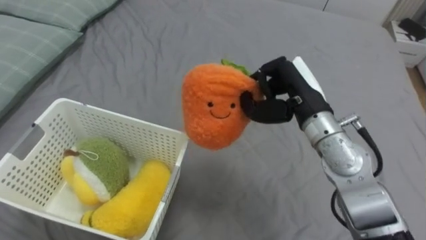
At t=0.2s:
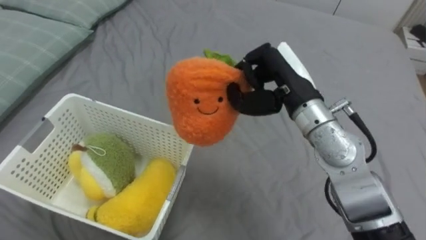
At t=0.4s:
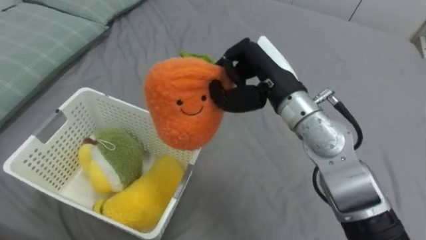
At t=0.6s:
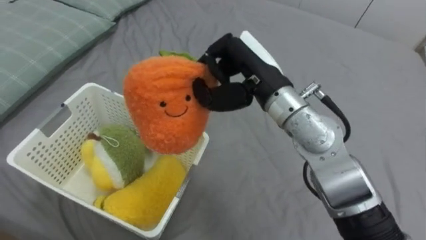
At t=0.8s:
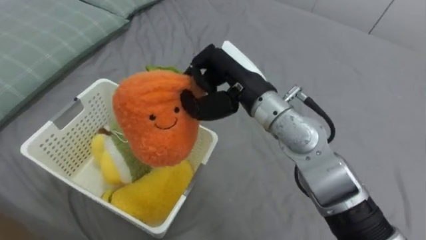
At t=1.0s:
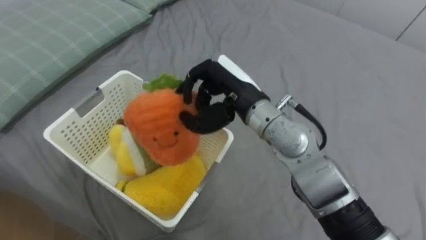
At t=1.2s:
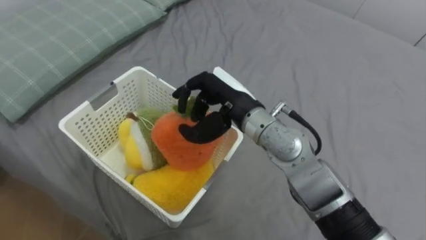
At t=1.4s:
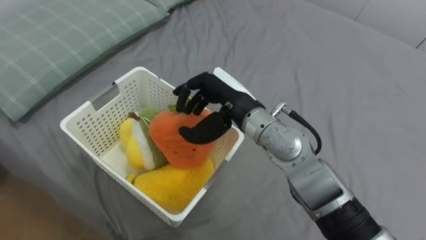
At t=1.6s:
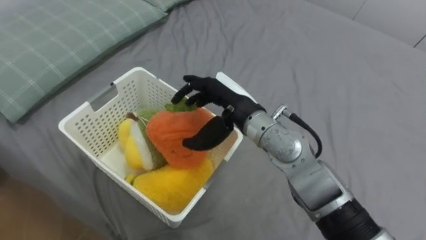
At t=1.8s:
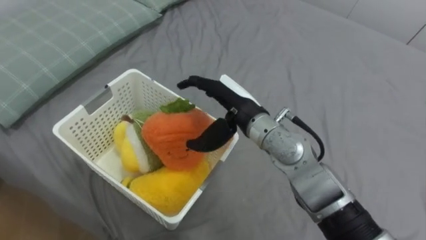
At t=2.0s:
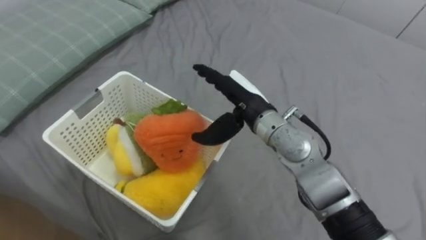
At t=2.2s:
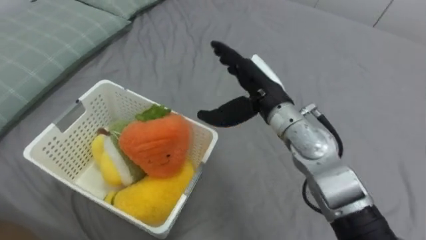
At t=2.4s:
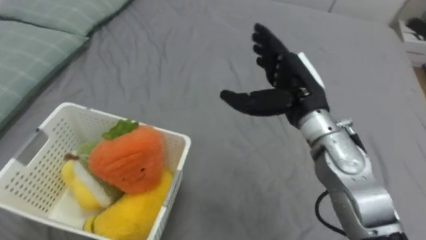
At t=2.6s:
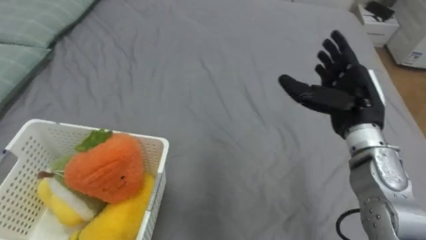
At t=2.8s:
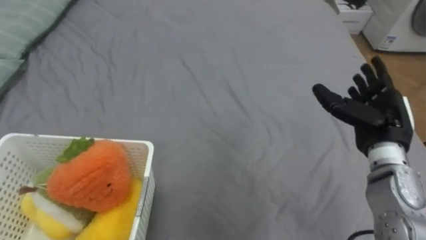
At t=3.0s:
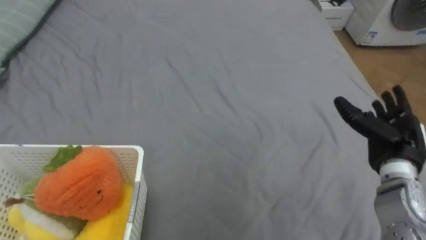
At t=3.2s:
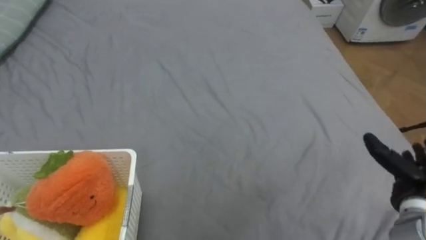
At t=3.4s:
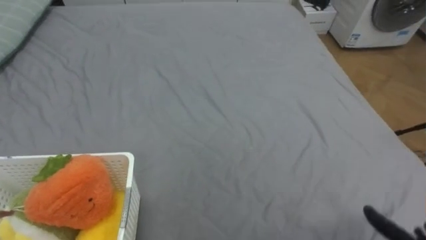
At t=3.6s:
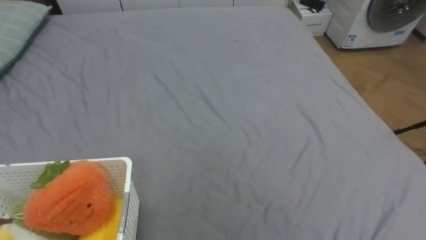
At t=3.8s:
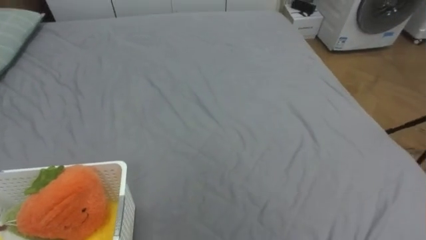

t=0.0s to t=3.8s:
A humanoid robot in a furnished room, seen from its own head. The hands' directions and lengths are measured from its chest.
Task of the whole recording: Put the toys on the bed into the basket on the left.
t=0.0s to t=1.2s: The right hand travels to the left by roughly 10 cm.
t=1.2s to t=2.6s: The right hand heads to the right, covering approximately 20 cm, and opens its fingers.

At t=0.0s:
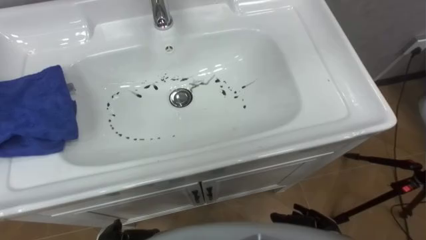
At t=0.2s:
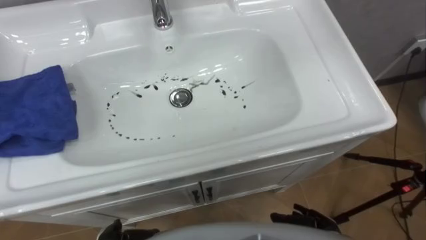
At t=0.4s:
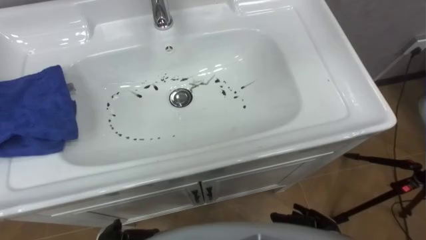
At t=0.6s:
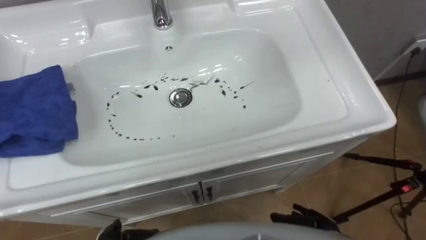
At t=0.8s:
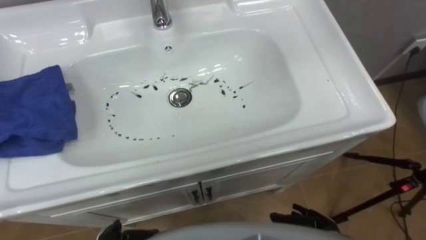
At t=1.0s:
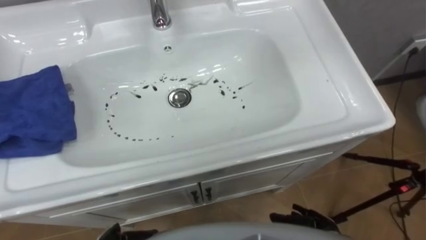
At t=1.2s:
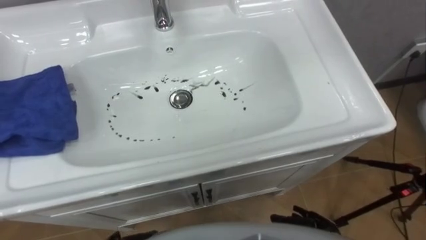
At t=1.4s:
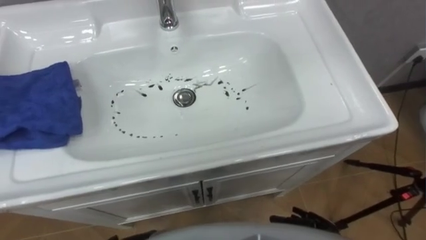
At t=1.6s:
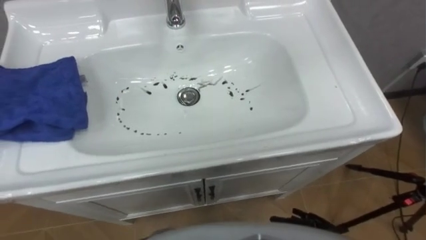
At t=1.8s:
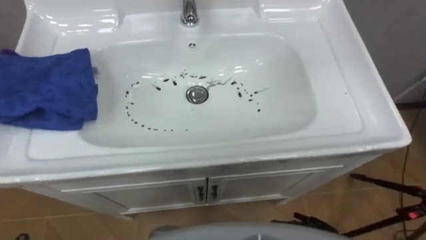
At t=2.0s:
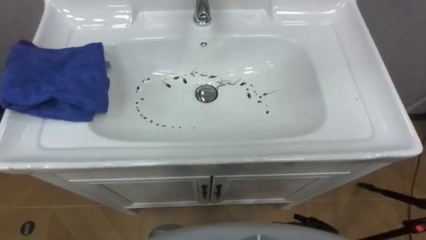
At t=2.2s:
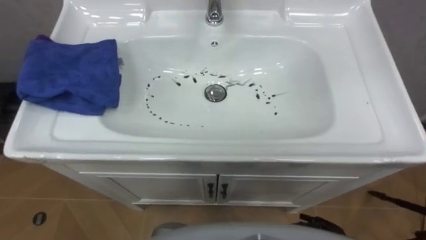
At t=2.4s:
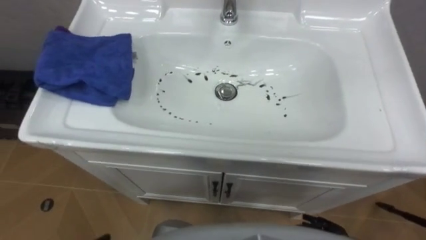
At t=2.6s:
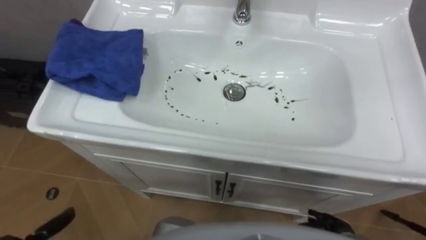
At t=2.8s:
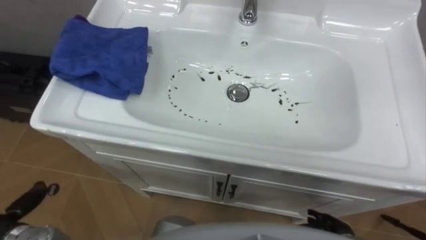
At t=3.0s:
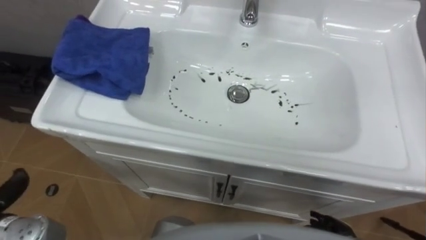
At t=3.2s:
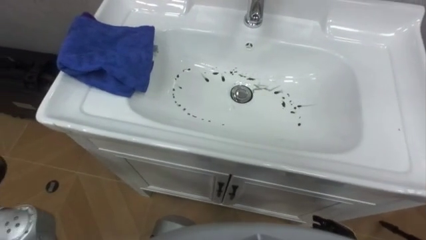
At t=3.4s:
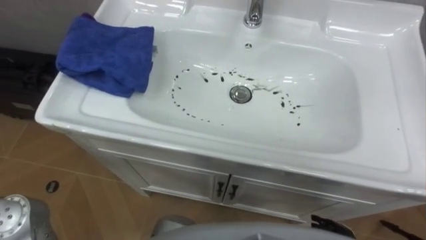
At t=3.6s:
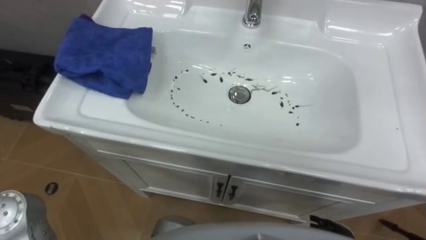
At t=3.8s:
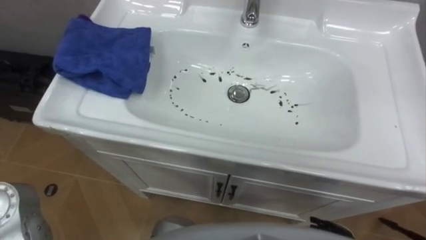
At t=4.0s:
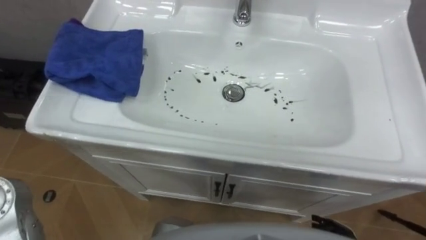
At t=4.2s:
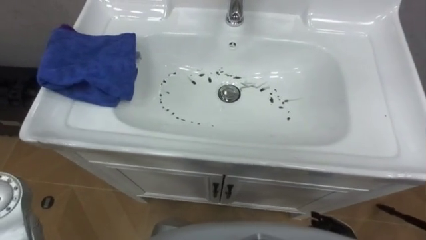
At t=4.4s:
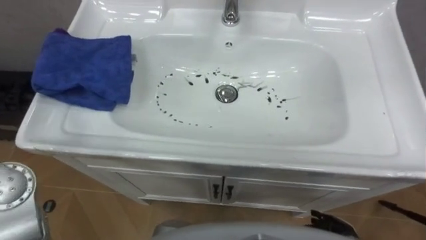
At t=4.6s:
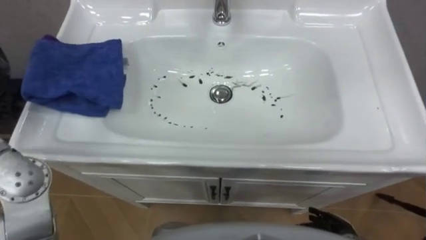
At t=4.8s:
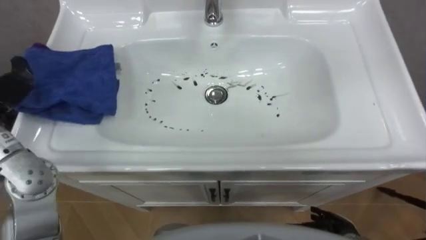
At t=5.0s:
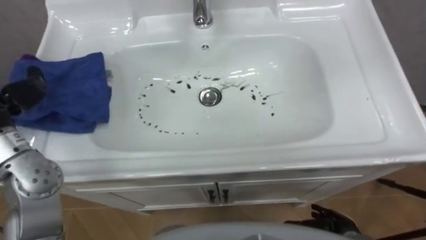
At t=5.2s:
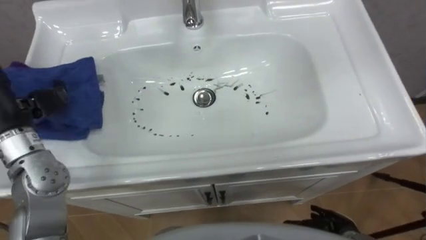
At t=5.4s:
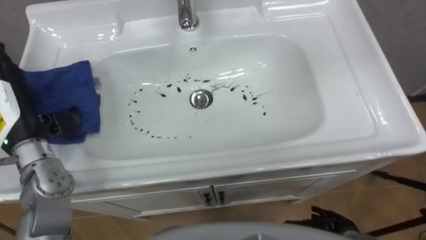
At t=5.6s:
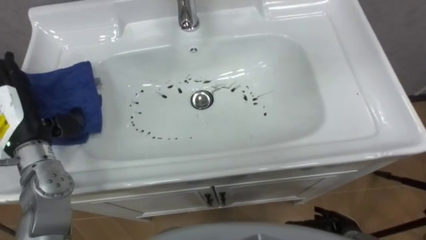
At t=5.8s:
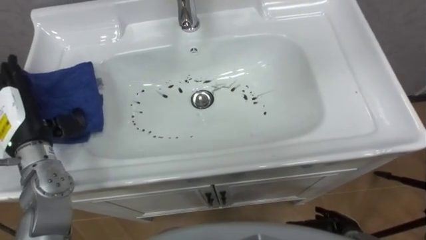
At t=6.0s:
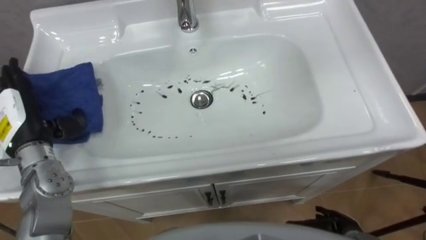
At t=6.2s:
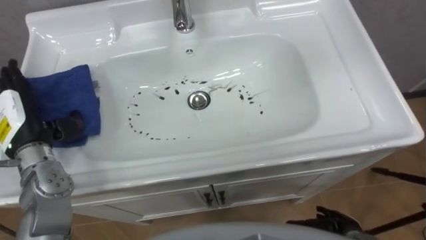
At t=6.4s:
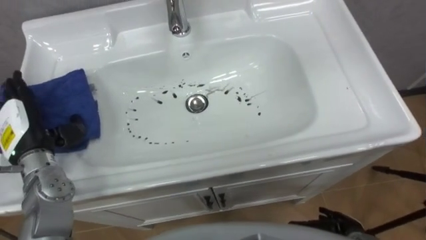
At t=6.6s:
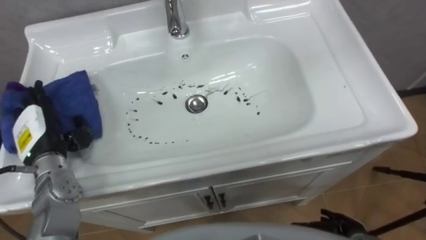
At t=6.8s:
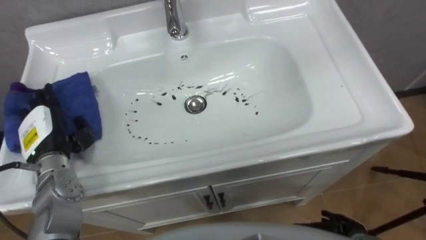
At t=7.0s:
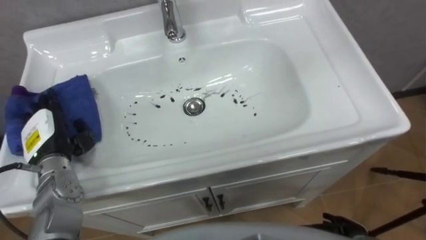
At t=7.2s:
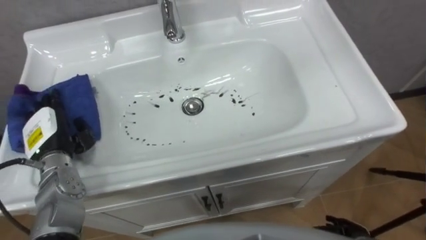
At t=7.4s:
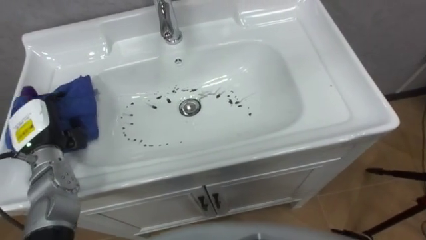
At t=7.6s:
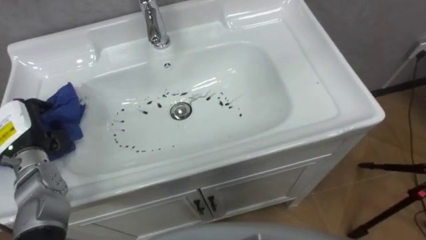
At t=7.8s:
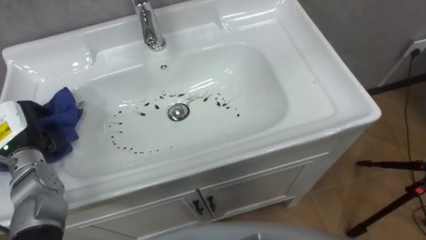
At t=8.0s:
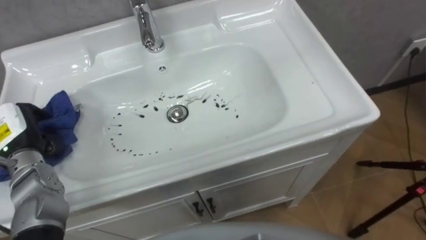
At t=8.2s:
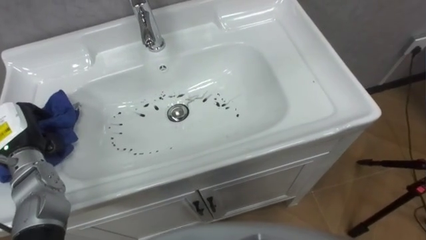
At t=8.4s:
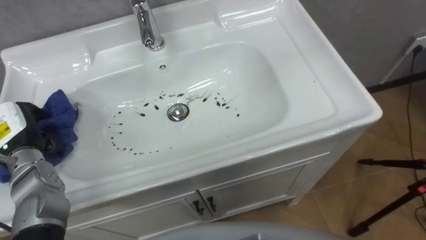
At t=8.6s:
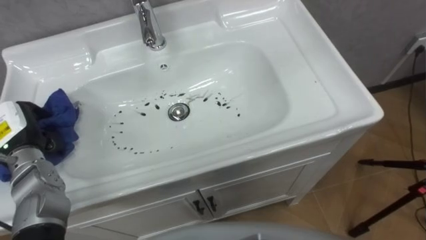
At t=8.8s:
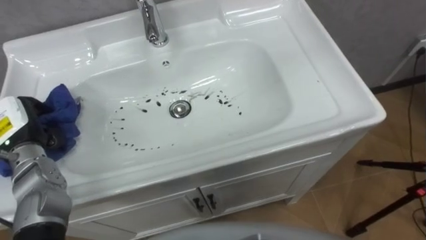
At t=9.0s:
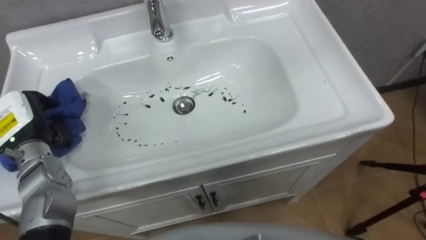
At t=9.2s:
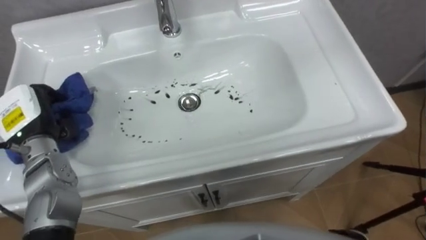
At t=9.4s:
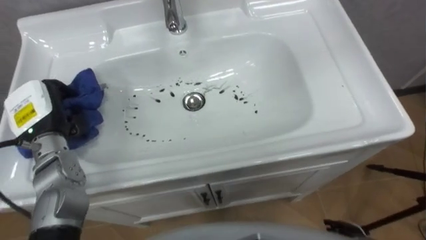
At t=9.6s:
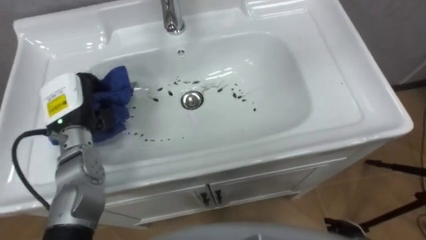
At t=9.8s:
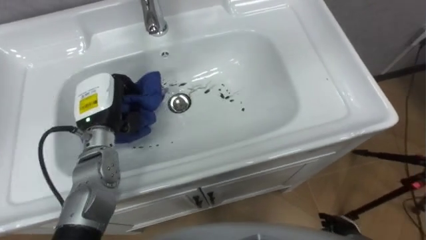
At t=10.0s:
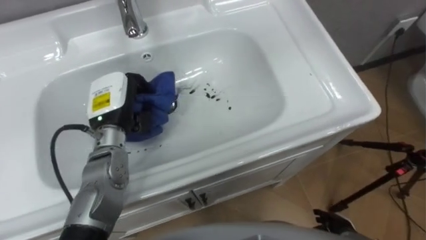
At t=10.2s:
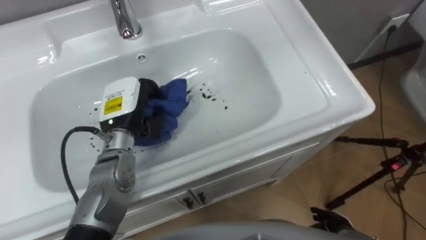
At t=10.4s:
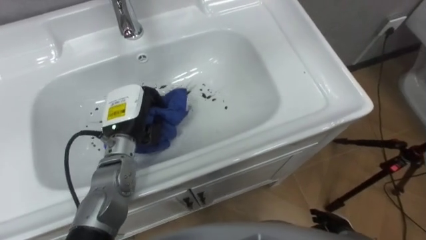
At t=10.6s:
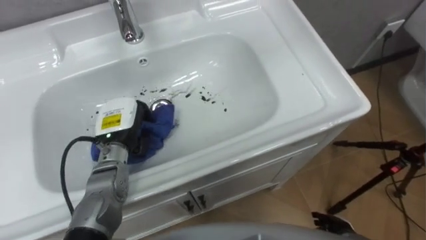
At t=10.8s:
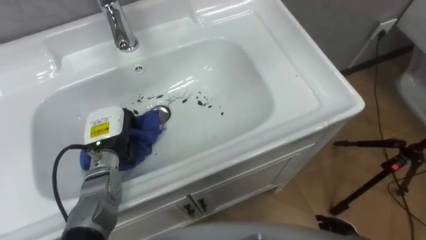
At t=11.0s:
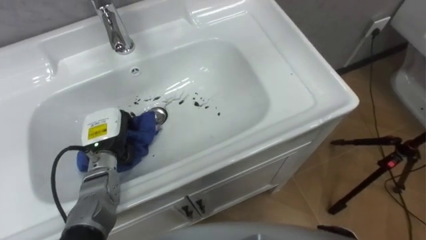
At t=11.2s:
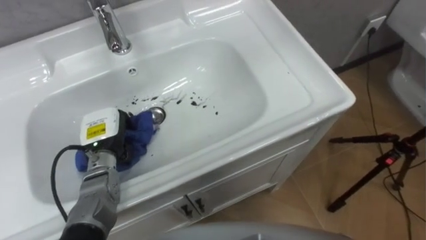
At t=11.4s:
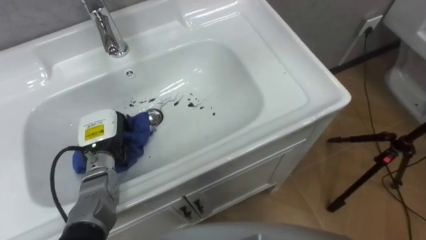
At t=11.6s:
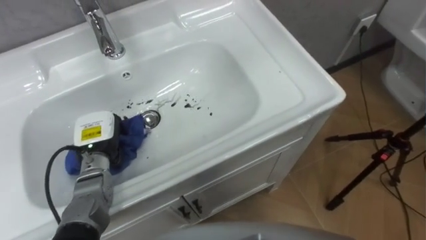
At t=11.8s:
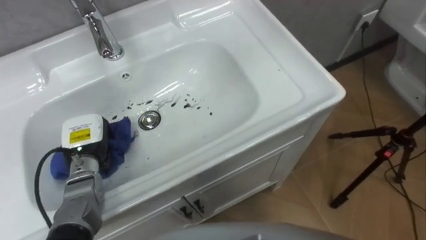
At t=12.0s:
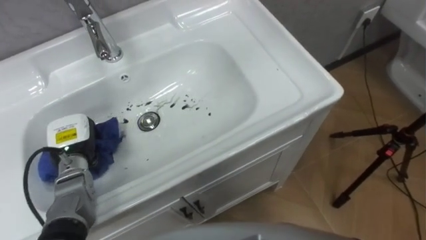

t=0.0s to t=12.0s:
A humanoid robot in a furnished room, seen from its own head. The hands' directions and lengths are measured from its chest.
Task of the whole recording: Use the cloth on the right to wipe away the black stain in the sink.
t=6.0s to t=7.6s: The left hand changes place by about 5 cm, and closes.
t=9.0s to t=10.4s: The left hand moves to the right, some 15 cm.
t=10.4s to t=12.0s: The left hand heads to the left and downward, covering approximately 15 cm.

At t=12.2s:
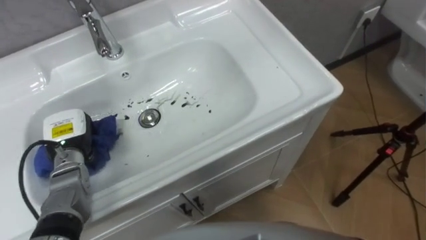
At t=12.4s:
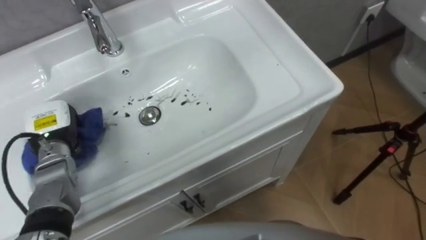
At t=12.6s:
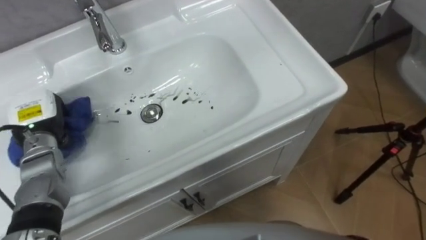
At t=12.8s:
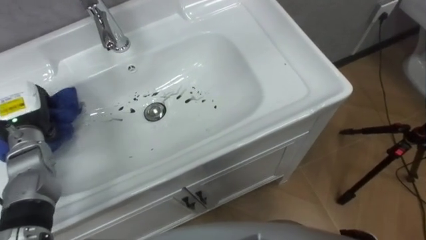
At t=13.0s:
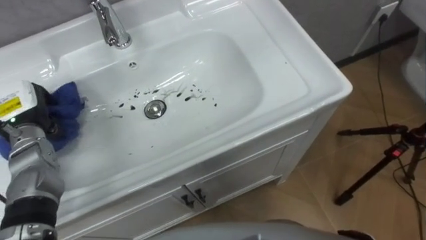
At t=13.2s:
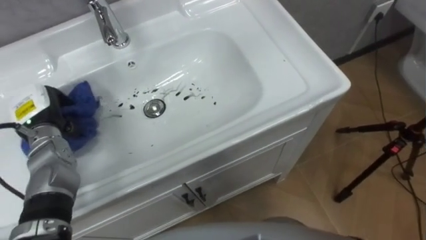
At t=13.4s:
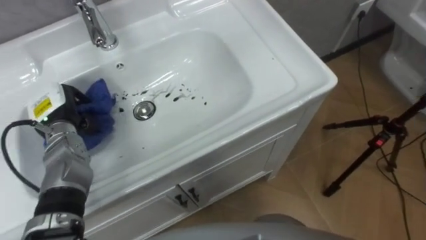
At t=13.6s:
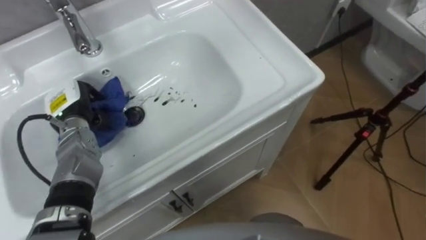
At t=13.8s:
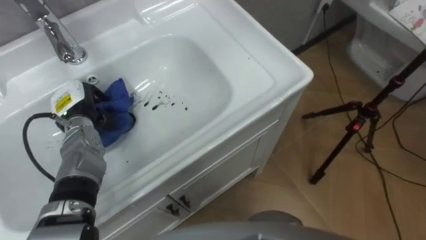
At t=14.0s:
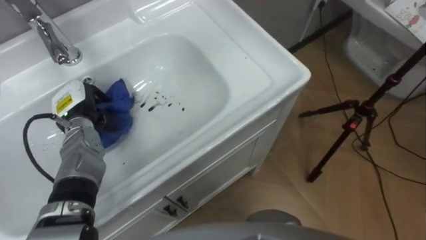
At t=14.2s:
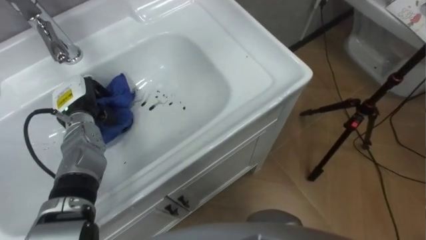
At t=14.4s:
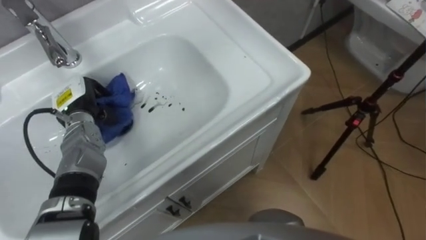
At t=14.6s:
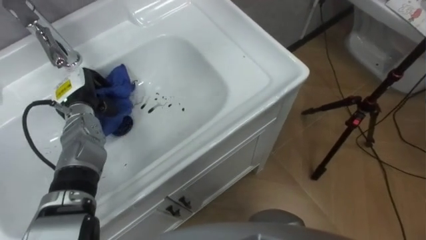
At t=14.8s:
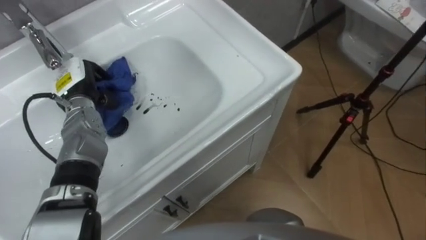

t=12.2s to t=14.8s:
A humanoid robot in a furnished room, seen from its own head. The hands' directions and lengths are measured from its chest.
Task of the whole recording: Use the cloth on the right to wipe away the black stain in the sink.
t=13.4s to t=14.8s: The left hand ends up roughly 5 cm from where it was.
